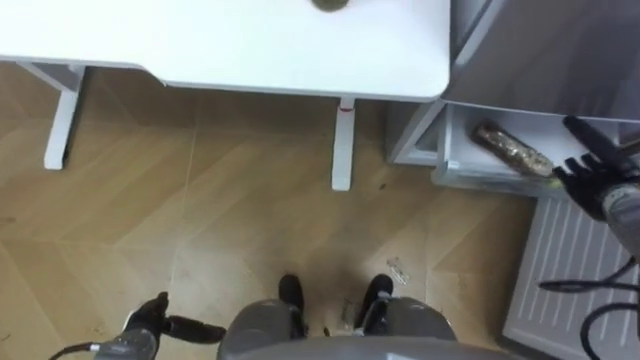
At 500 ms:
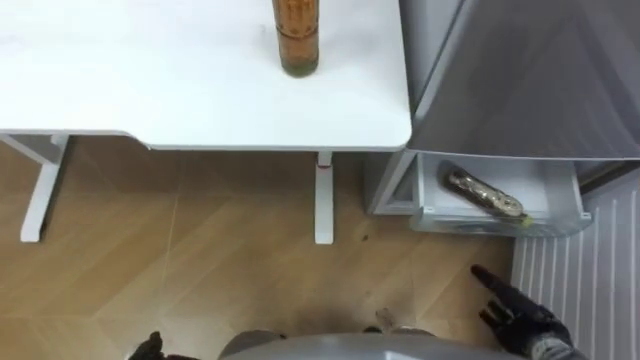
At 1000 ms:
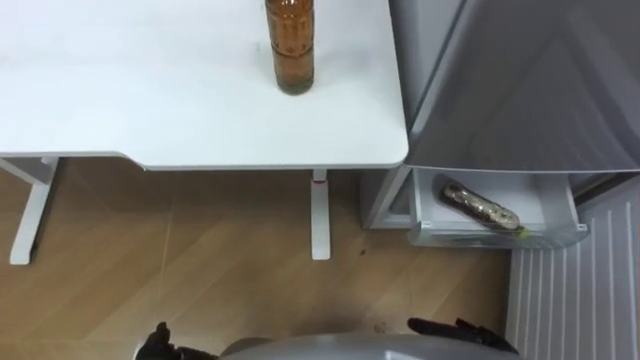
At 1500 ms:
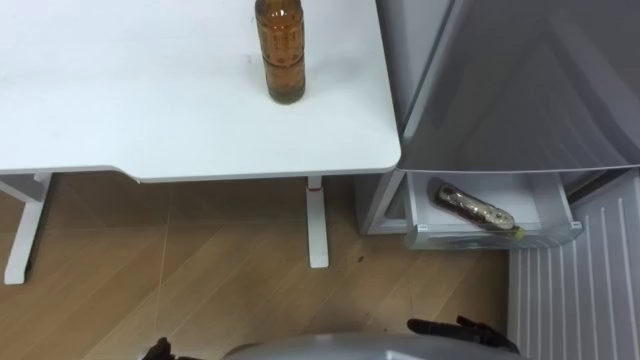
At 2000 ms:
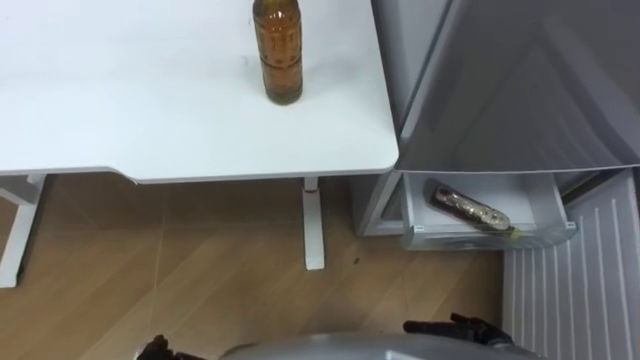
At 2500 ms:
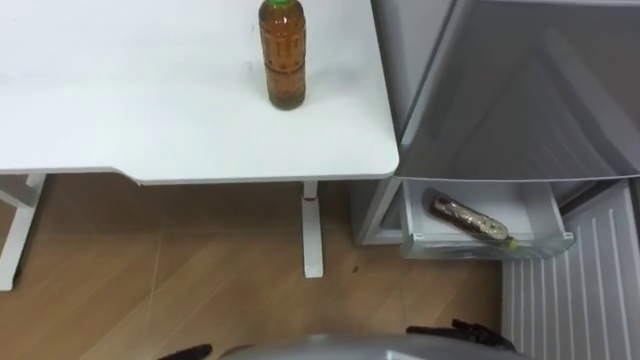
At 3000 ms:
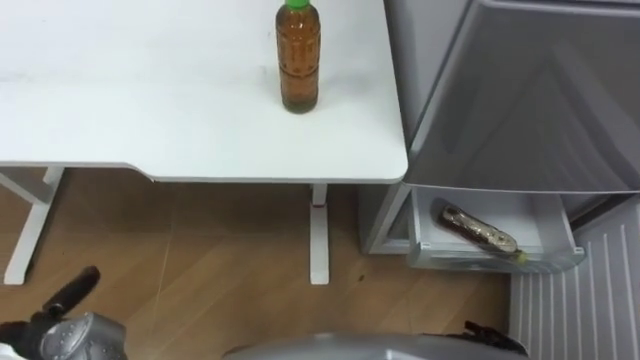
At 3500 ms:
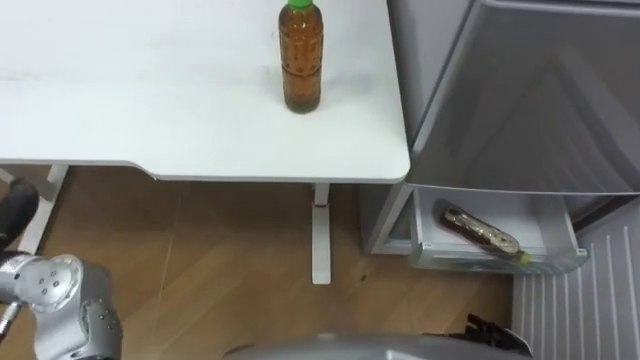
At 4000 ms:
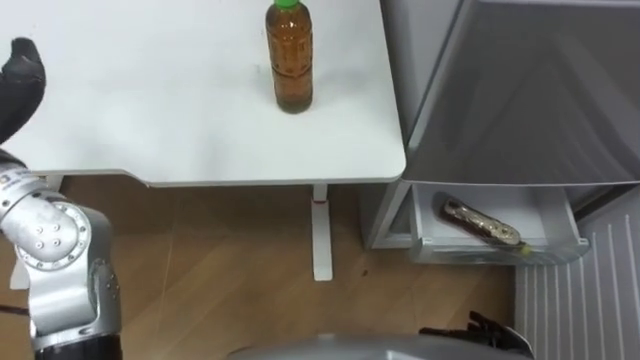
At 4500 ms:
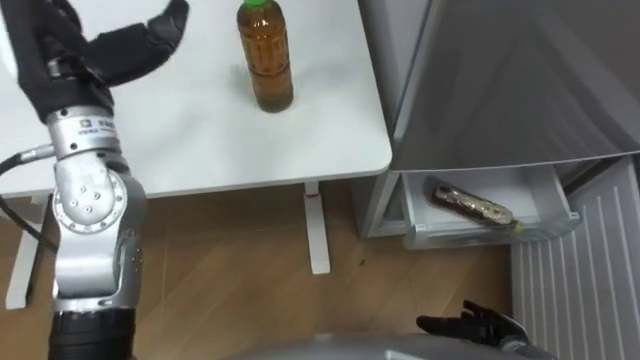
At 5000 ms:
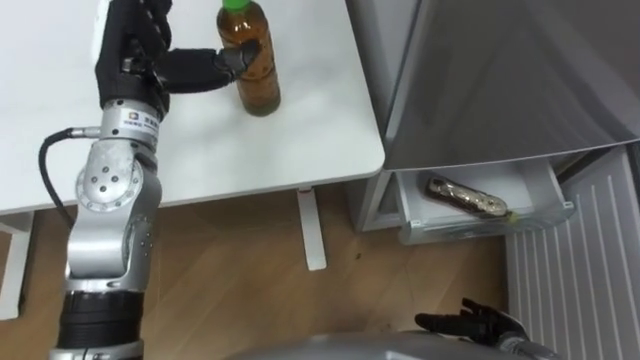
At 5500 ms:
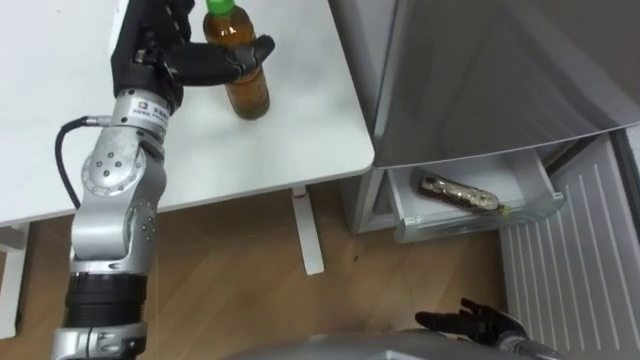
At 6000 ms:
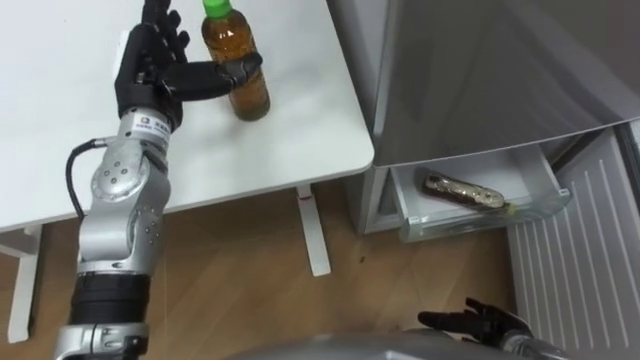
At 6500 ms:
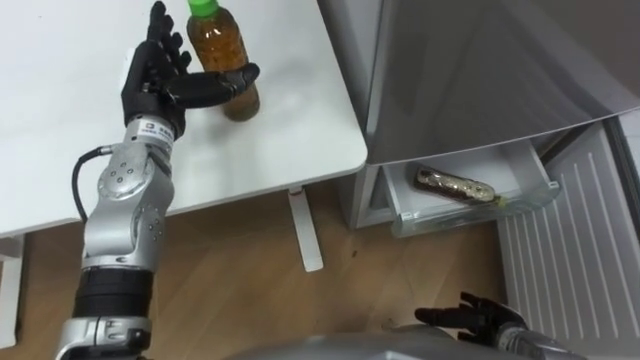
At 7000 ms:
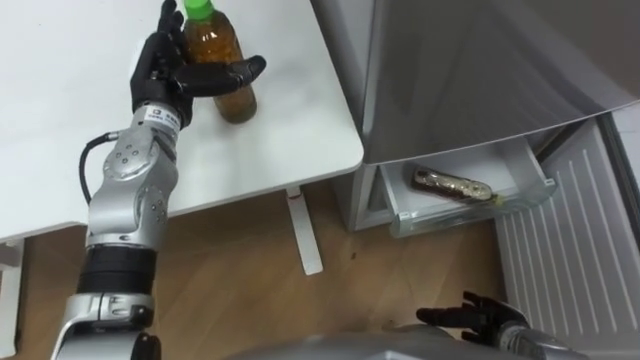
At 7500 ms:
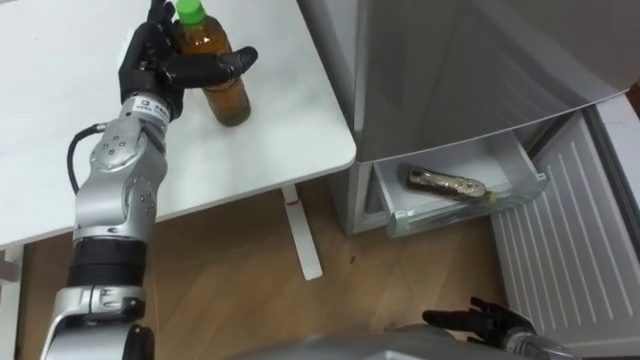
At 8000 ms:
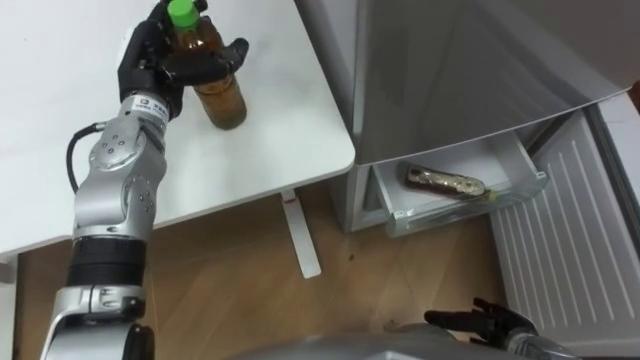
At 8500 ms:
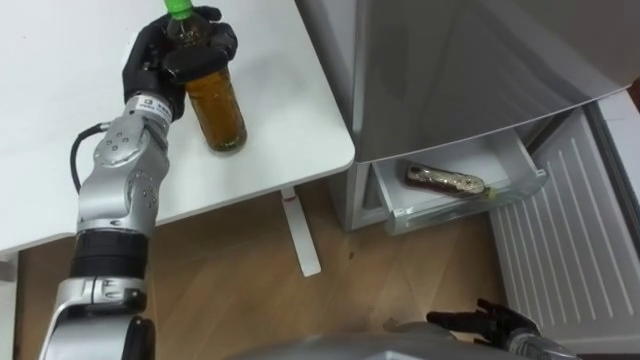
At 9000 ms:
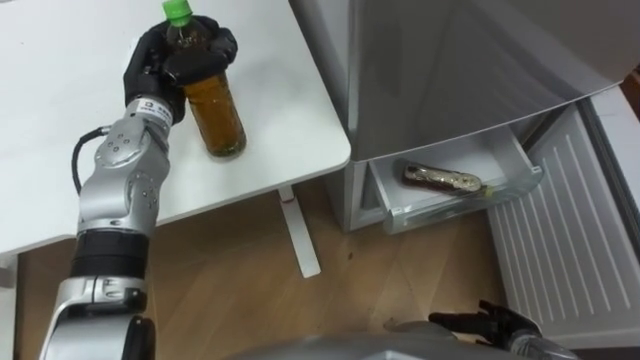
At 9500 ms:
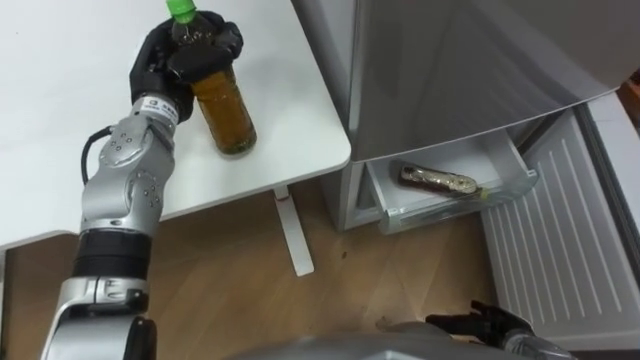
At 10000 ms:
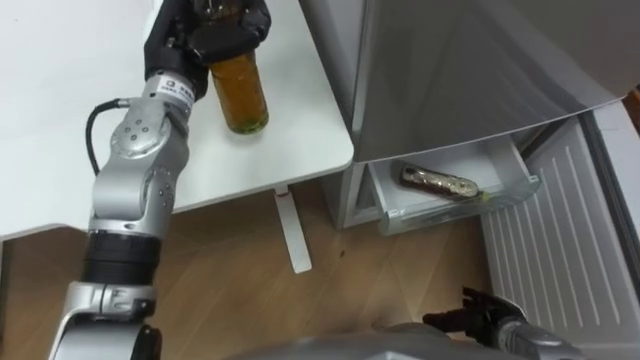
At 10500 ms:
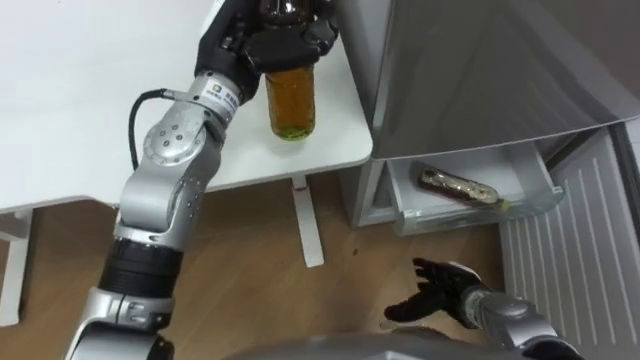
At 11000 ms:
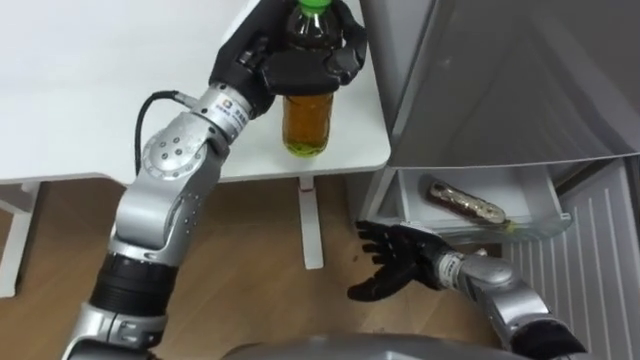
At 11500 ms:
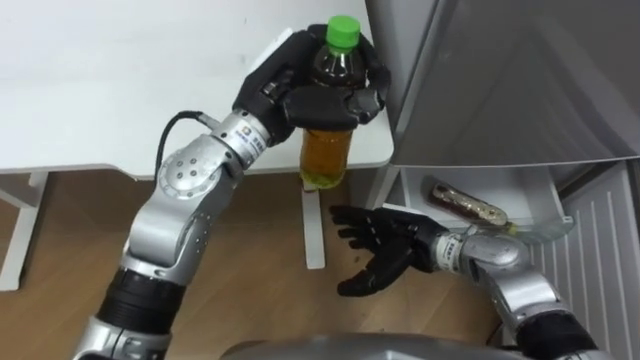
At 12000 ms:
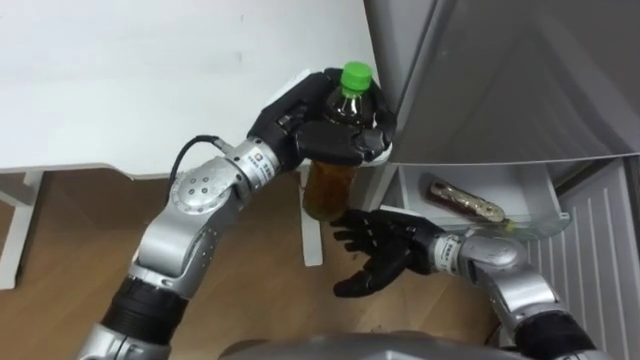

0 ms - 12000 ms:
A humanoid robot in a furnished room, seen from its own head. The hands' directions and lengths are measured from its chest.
Task of the whole recording: Place the drink on the table on the bottom shelf of the refrigerator, then close the drawer and the refrigerator door.
8000 ms - 10000 ms: The left hand closes up.
10000 ms - 12000 ms: The left hand moves to the right and backward, some 15 cm, while the right hand travels to the left, upward and forward by approximately 20 cm.

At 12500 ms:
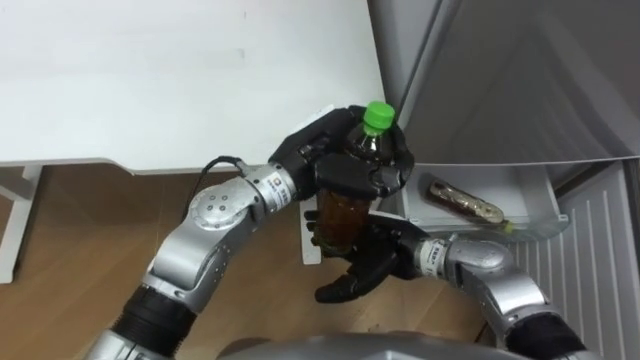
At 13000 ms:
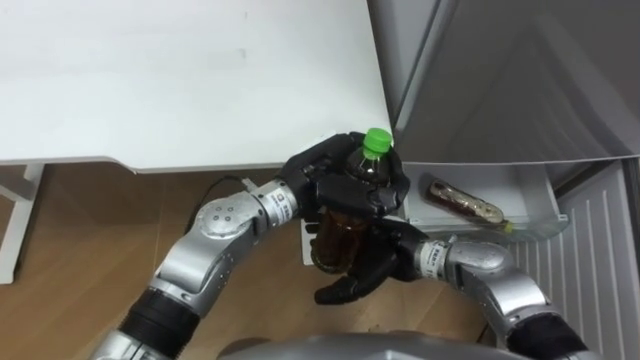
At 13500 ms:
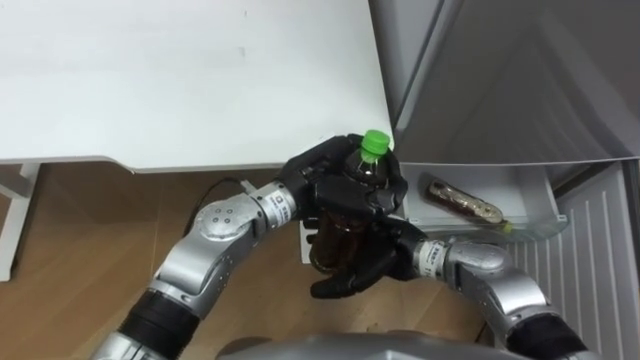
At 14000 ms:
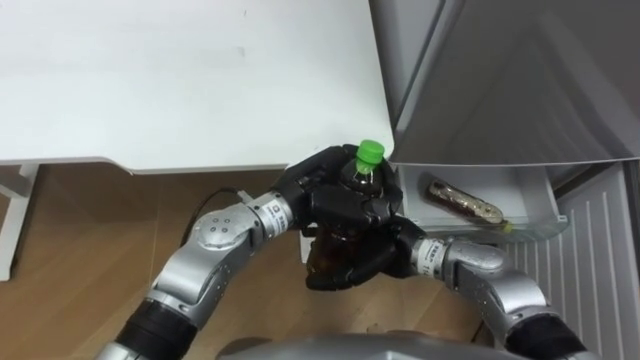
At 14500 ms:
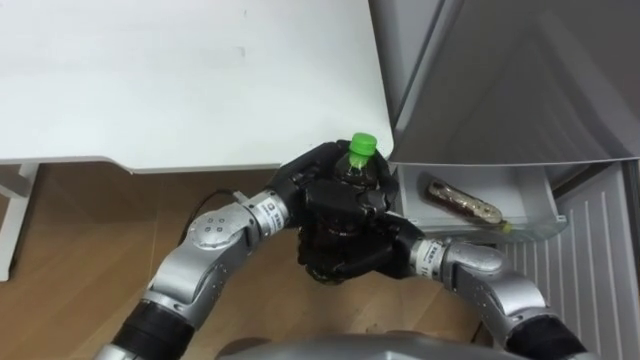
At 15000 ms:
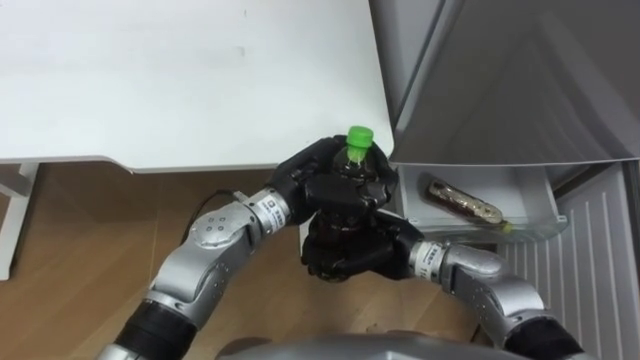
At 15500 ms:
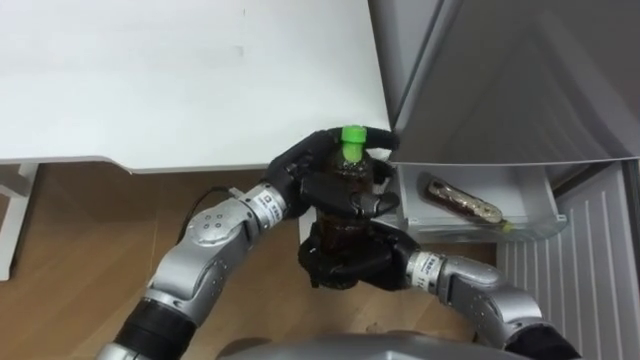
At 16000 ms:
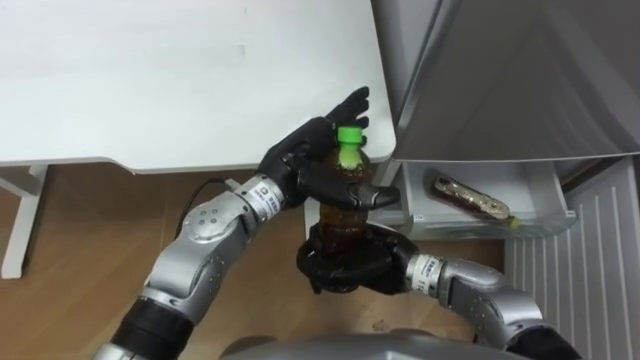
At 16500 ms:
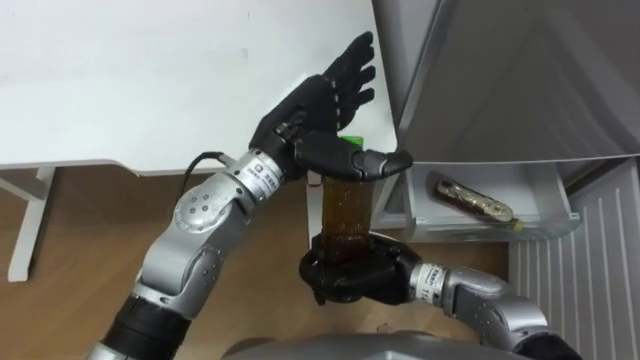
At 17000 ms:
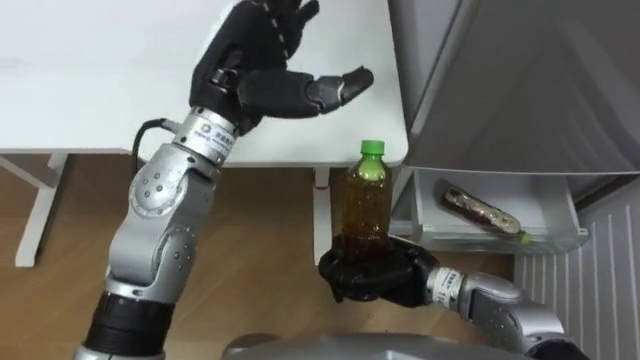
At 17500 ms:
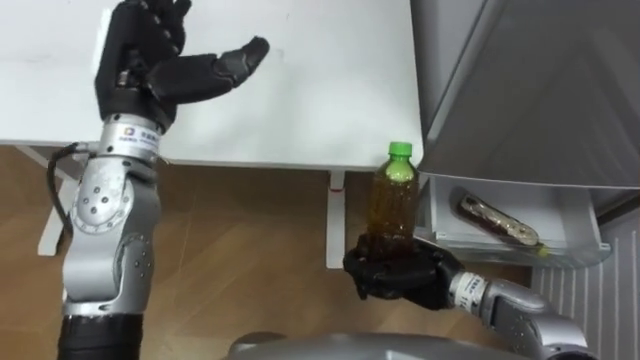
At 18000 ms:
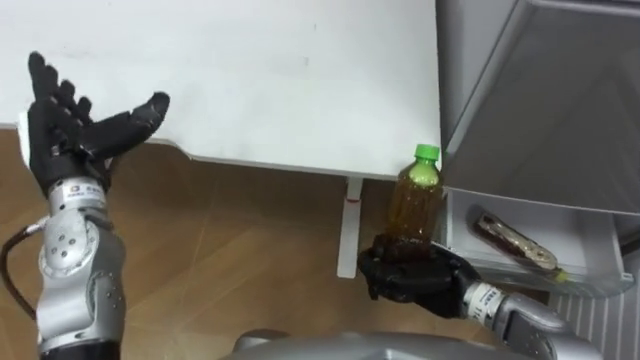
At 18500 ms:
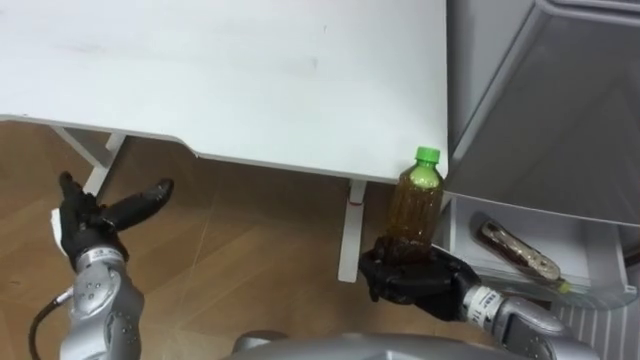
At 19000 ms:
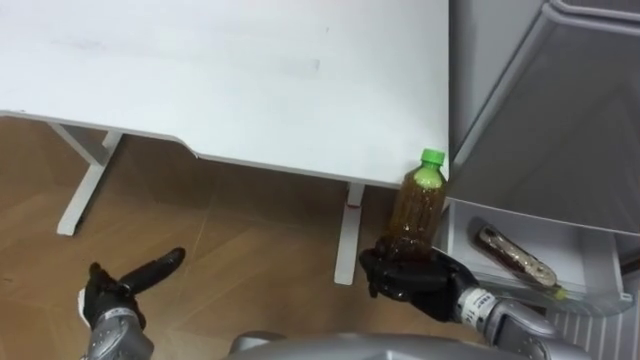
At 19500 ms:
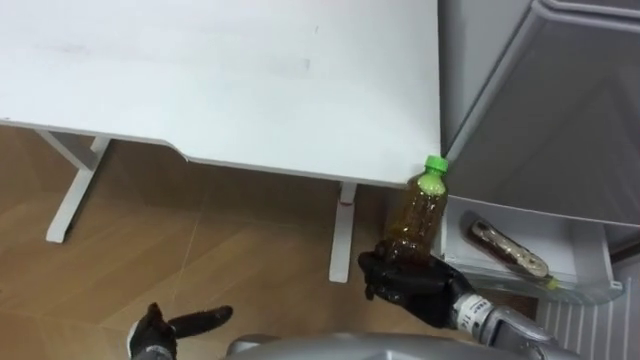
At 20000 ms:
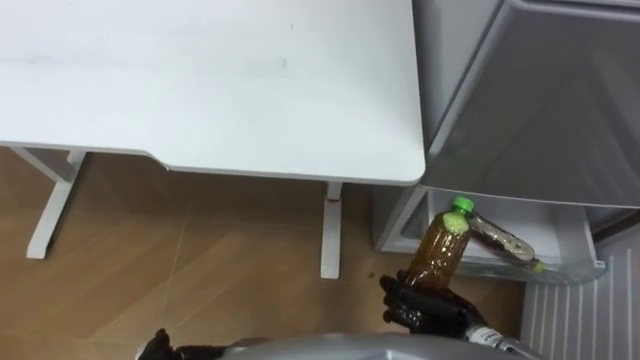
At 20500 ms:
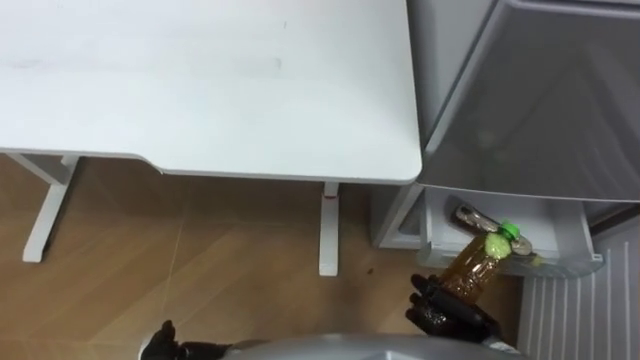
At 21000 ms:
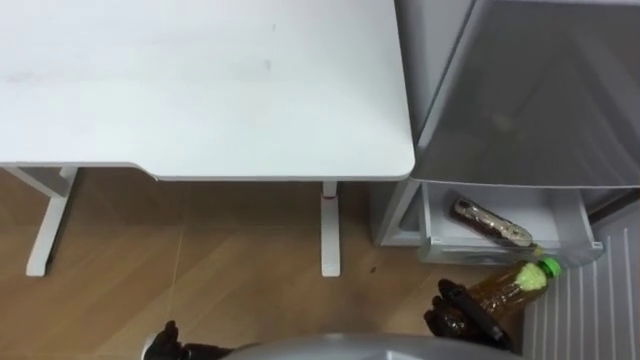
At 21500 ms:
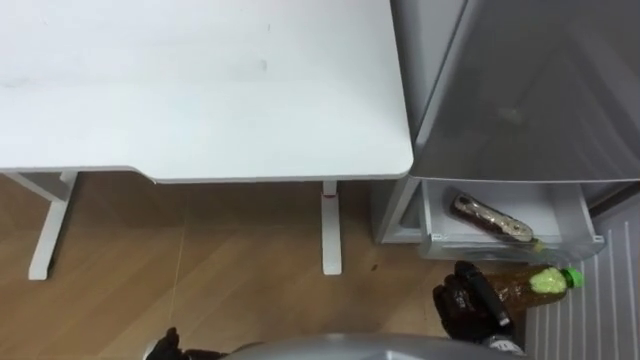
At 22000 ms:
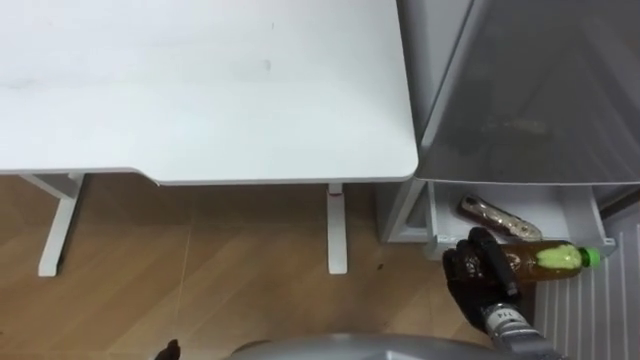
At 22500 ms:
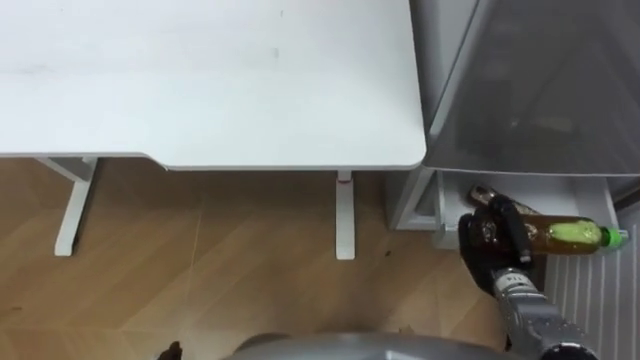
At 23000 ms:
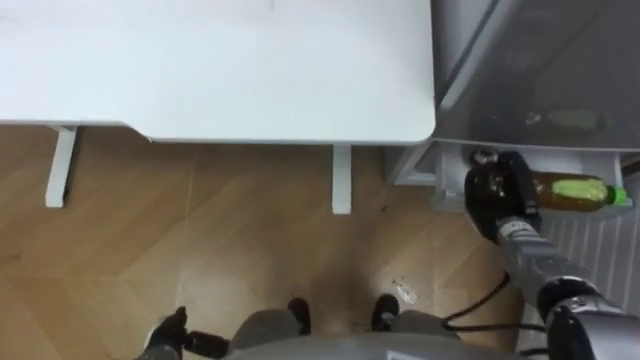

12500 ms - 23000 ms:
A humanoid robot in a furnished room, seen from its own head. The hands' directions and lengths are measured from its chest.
Task of the whole recording: Place the drink on the table on the bottom shelf of the refrigerator, then close the drawer and the refrigerator door.
12500 ms - 14500 ms: The left hand moves downward, about 5 cm; the right hand closes.
14500 ms - 16500 ms: The left hand moves upward, approximately 5 cm, and opens its fingers.
16500 ms - 19000 ms: The right hand moves to the right, about 10 cm; the left hand heads to the left, downward and backward, covering approximately 35 cm.
19000 ms - 21000 ms: The right hand travels backward, downward and to the right by roughly 15 cm.
21000 ms - 23000 ms: The right hand moves forward, about 15 cm.
